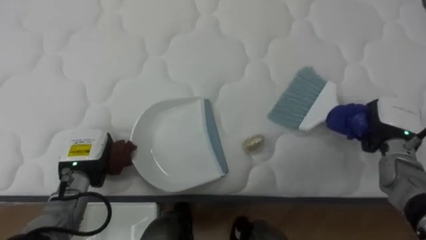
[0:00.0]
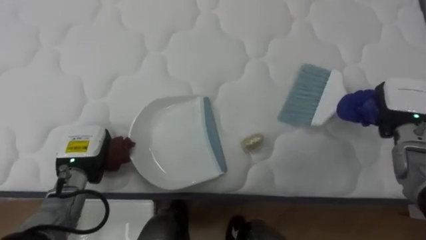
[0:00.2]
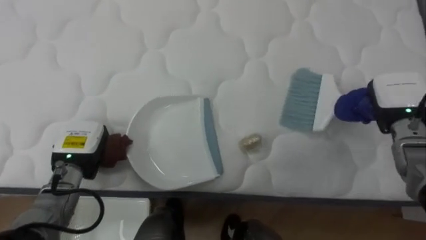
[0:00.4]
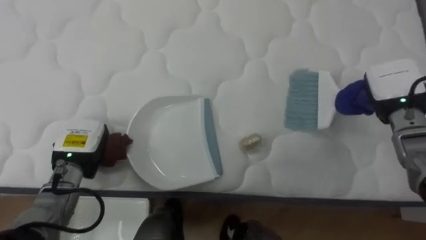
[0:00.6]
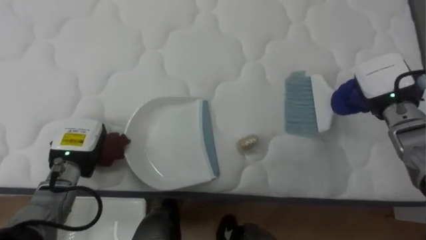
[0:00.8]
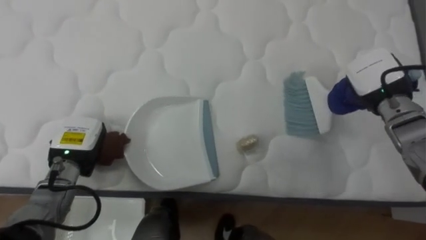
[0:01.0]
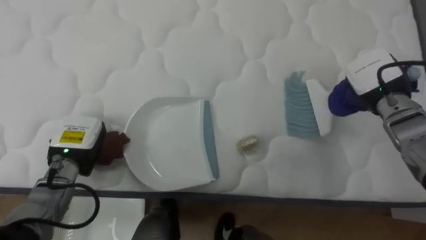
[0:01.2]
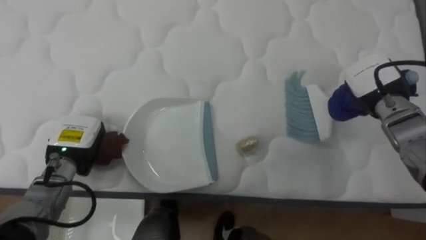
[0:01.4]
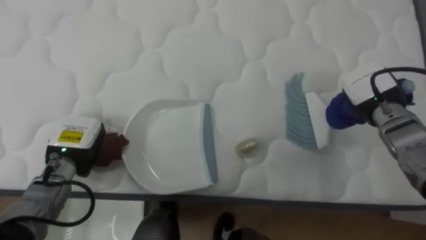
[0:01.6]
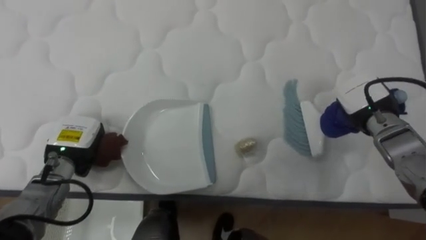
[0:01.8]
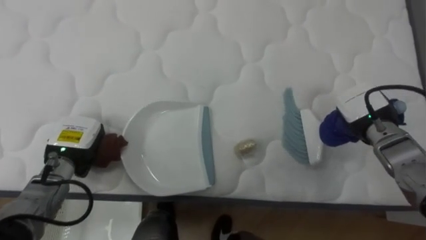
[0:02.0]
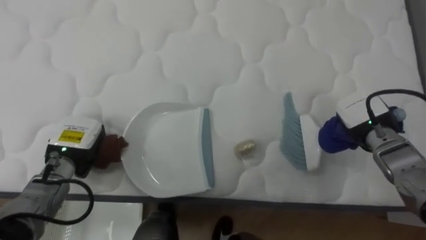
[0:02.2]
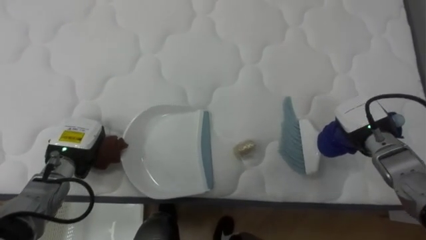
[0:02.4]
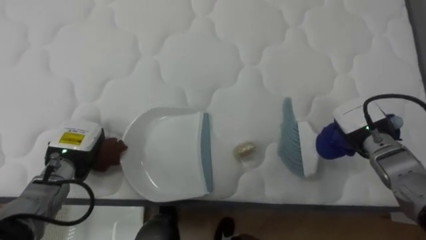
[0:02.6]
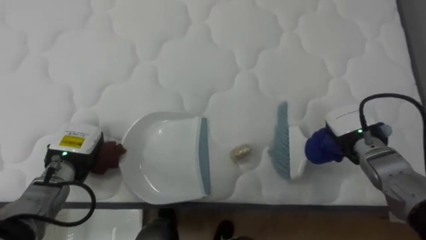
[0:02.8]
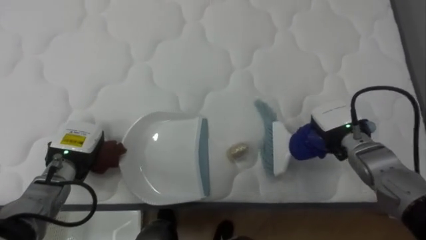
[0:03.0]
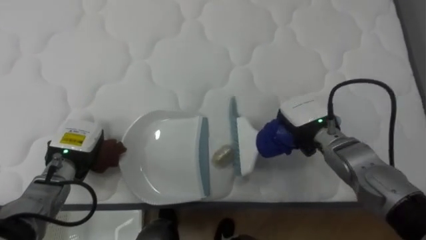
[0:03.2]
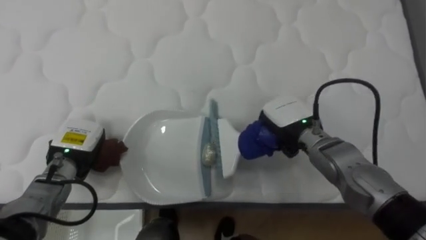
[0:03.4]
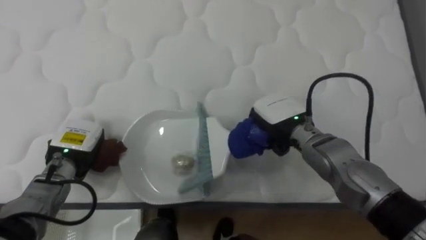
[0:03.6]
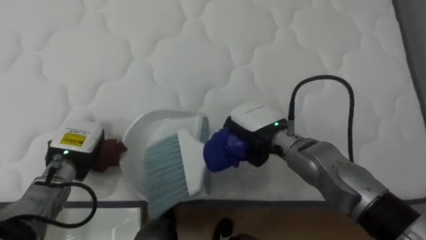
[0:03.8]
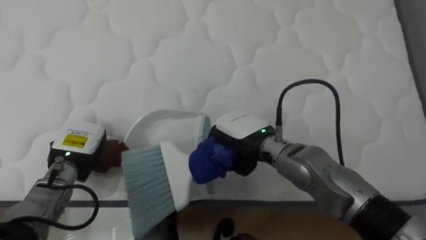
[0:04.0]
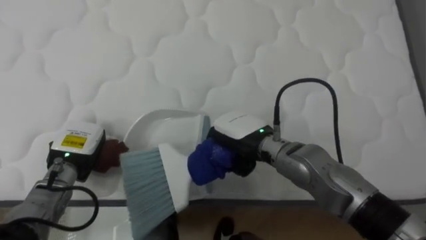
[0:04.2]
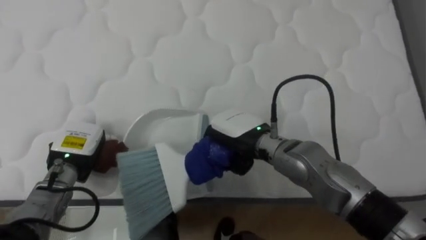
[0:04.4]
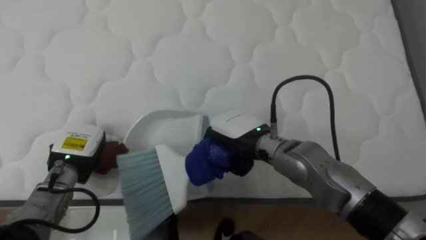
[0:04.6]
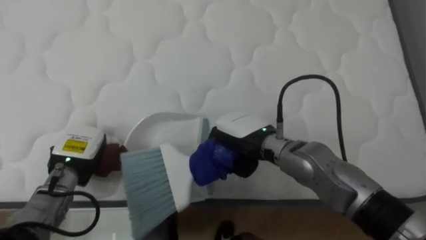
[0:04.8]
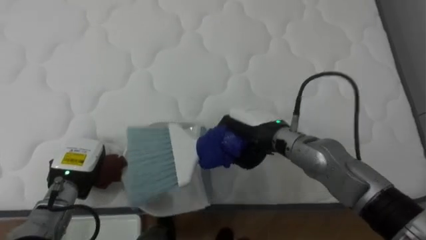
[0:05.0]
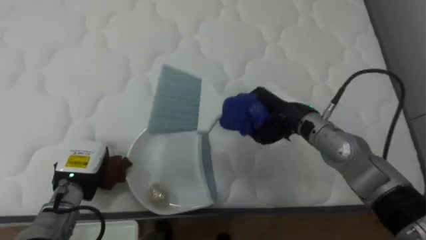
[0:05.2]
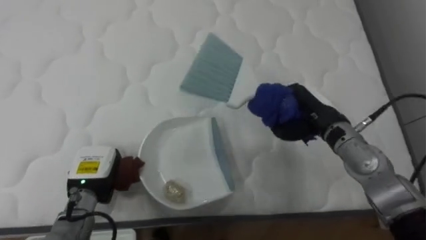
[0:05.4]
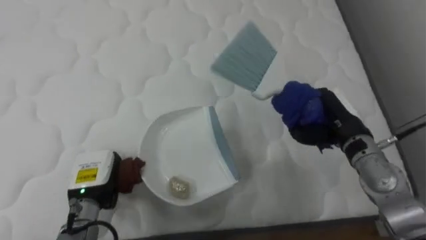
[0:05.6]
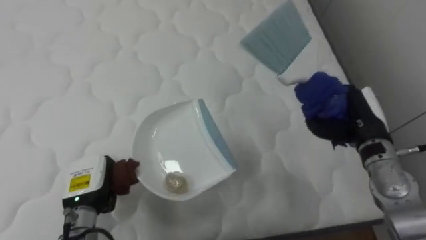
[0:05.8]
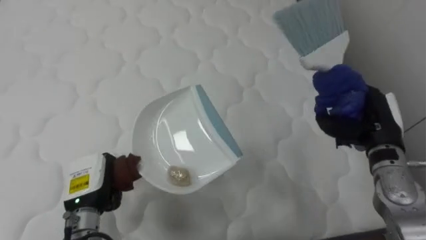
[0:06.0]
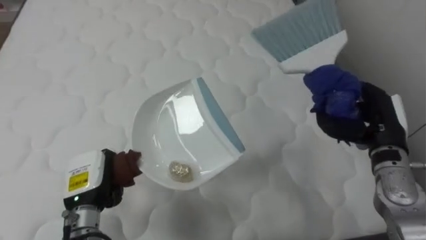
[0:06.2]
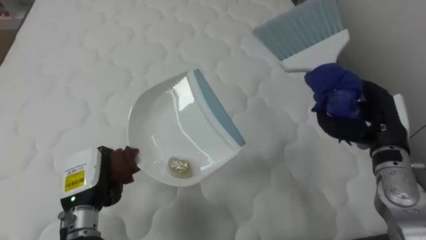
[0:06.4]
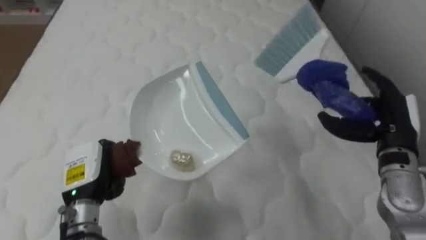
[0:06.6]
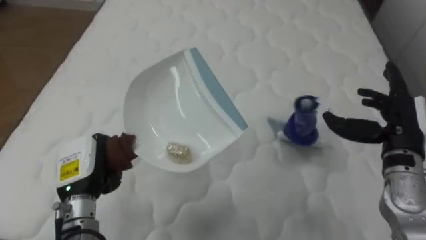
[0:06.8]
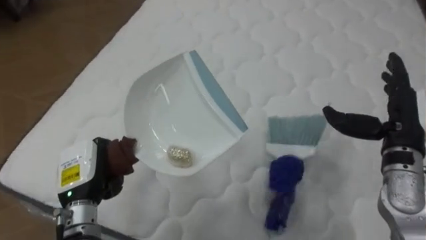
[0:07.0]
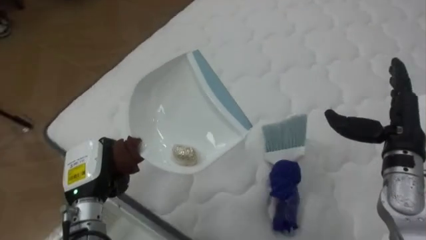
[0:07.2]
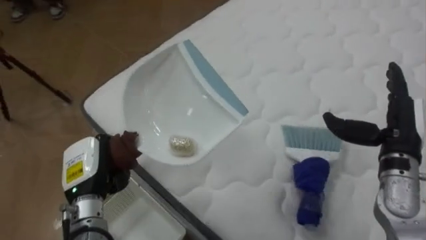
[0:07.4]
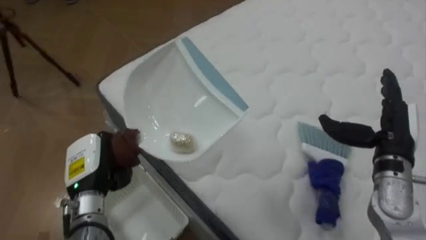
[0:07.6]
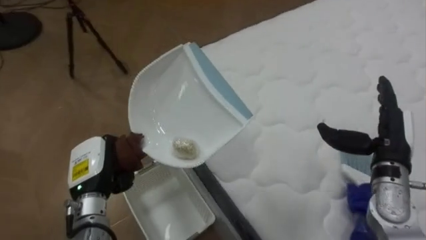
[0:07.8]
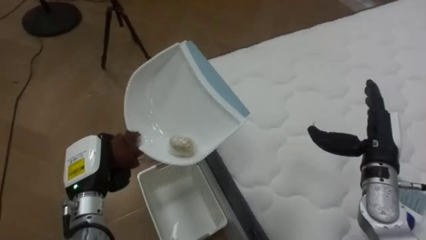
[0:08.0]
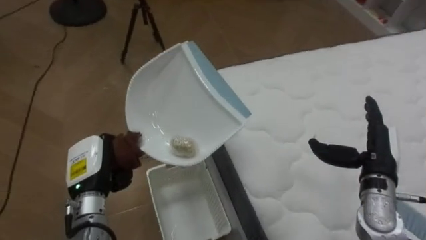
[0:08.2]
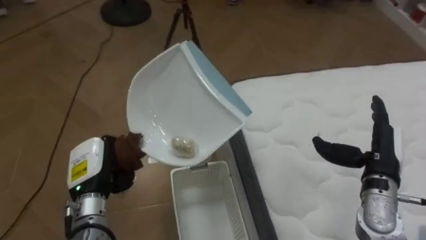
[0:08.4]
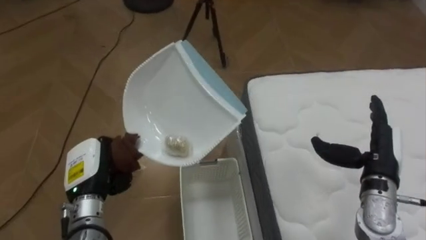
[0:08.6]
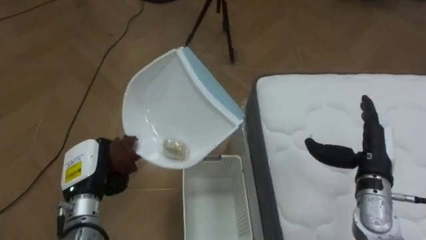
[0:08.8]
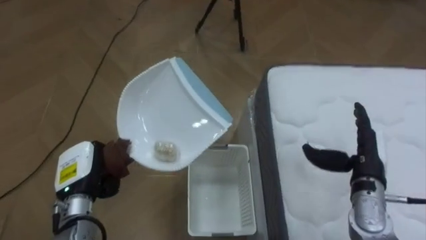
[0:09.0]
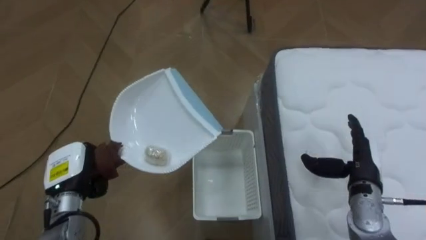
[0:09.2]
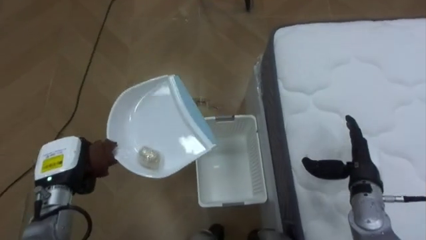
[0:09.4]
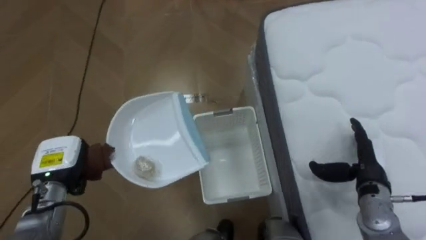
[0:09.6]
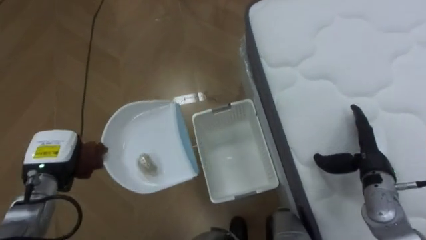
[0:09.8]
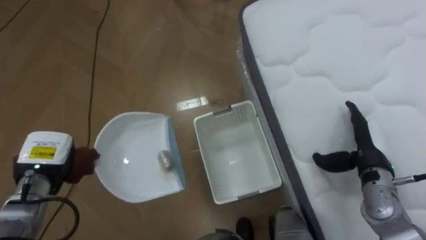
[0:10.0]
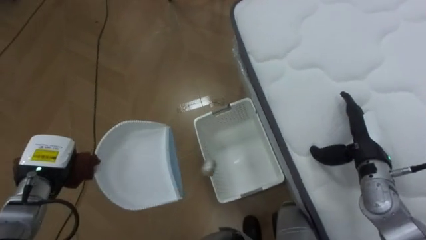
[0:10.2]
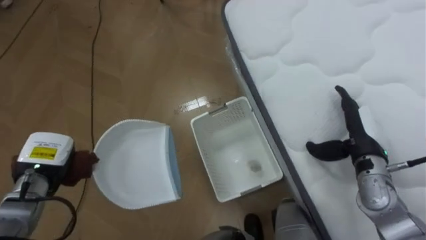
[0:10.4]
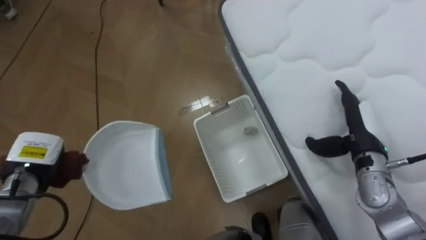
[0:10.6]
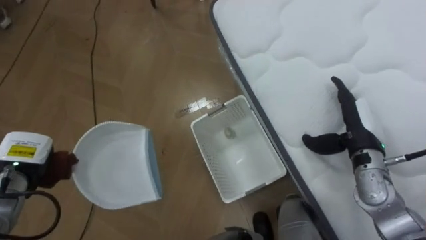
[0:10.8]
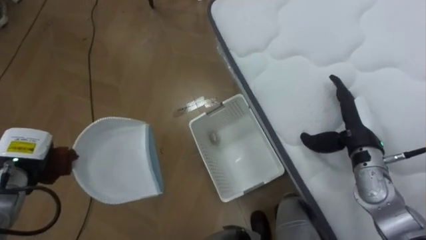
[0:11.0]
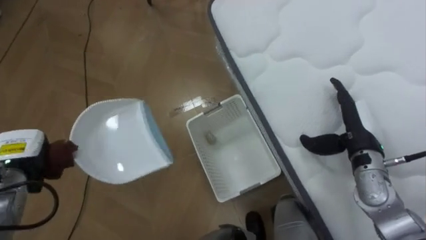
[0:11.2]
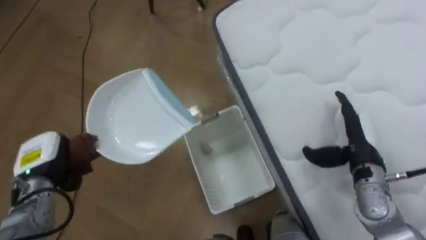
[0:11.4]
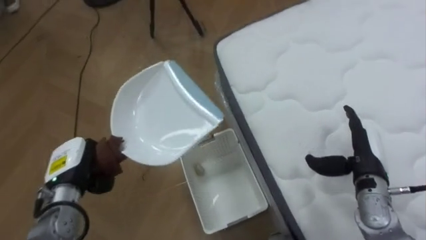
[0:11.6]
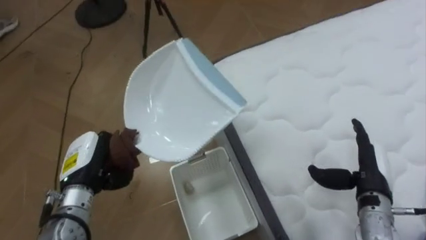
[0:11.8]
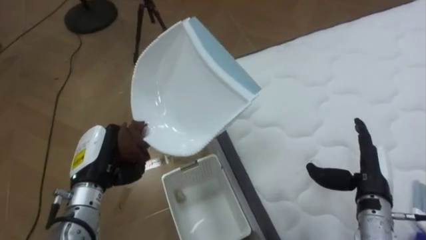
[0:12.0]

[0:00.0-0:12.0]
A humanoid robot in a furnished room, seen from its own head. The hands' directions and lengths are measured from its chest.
Task of the whole recording: Pick up the brush on your right and the dustpan on your left. Use the brush to sweep the crumpled paper on the bed into the dustpan, then turn left and empty it into the basket.
0:00.0 to 0:01.6: The right hand is displaced upward by about 5 cm.
0:01.6 to 0:03.0: The right hand moves downward and to the left, about 10 cm.
0:03.0 to 0:04.4: The right hand heads to the left, covering some 20 cm.
0:04.4 to 0:06.0: The left hand travels backward by approximately 5 cm, while the right hand moves to the right, about 25 cm.
0:06.0 to 0:07.6: The robot's body swings some 55 degrees to its left. The right hand opens up.
0:07.6 to 0:09.0: The robot turns to its left by approximately 40 degrees. The right hand goes some 5 cm downward.
0:09.0 to 0:10.4: The left hand heads to the left, covering approximately 5 cm.
0:10.4 to 0:12.0: The left hand is displaced to the right by approximately 10 cm. The right hand travels backward by about 5 cm.

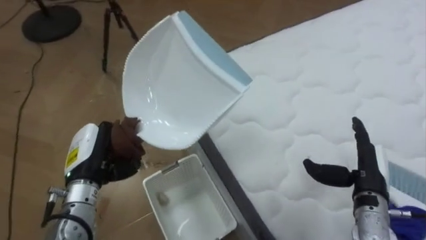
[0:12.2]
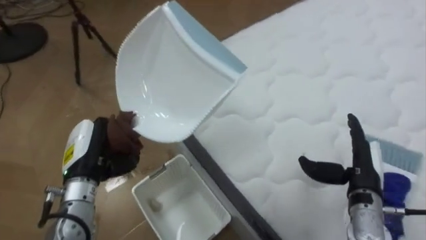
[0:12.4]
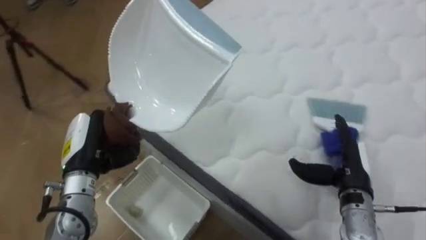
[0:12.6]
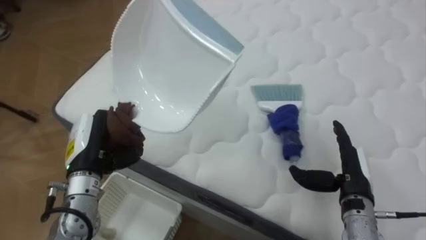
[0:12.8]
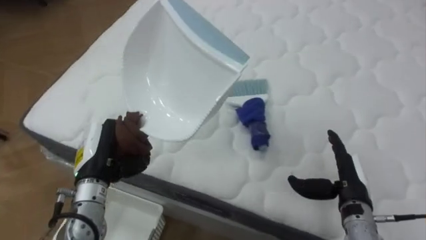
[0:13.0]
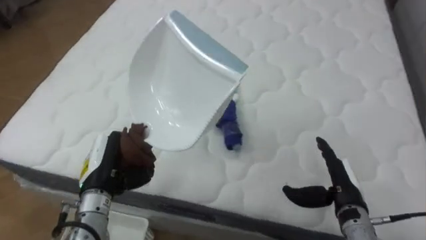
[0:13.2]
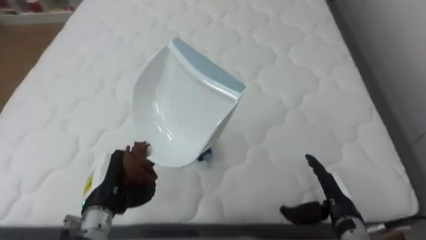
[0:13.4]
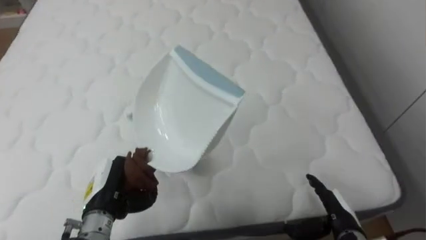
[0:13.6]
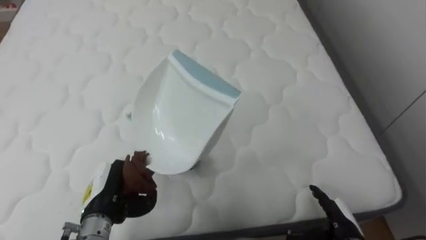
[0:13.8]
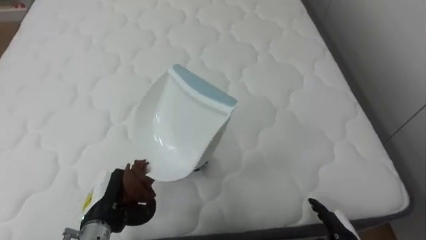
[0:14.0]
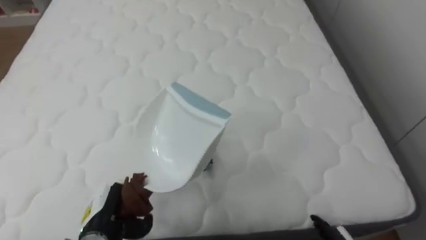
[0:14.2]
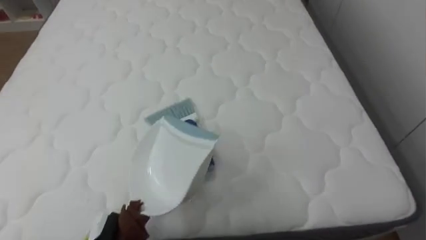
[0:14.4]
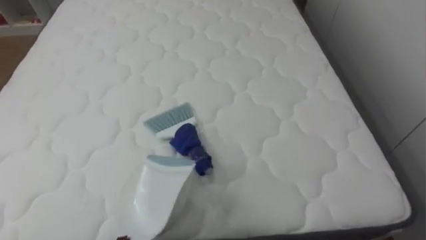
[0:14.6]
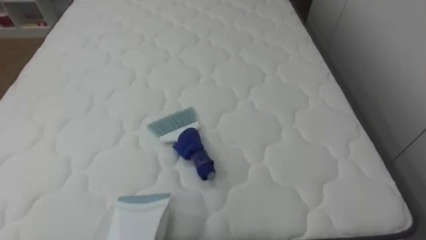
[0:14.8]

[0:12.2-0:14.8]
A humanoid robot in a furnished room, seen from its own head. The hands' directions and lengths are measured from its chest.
Task of the whole recording: Pick up the brush on your right and the dustpan on your left. Use the brush to sweep the crumpled paper on the bed into the dustpan, then turn left and empty it into the basket.
0:12.2 to 0:13.4: The robot rotates some 60 degrees to its right. The left hand changes place by approximately 5 cm, while the right hand travels downward by approximately 5 cm.

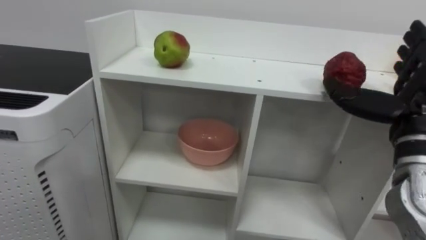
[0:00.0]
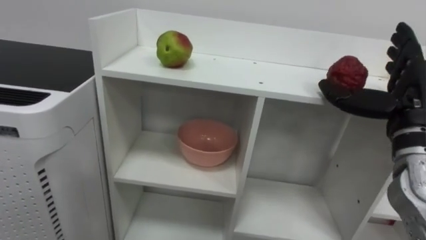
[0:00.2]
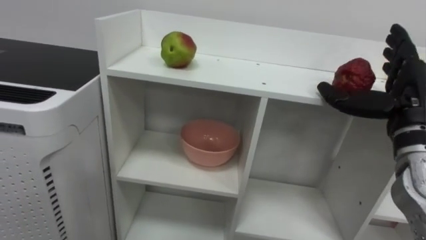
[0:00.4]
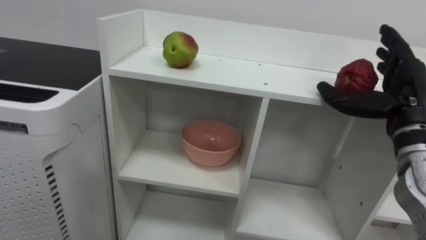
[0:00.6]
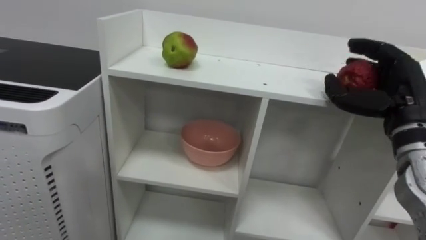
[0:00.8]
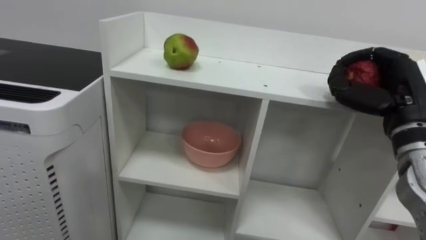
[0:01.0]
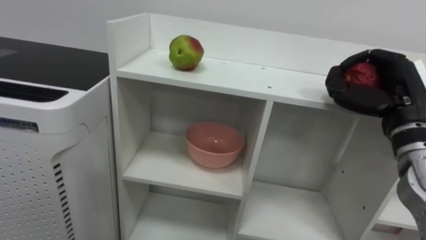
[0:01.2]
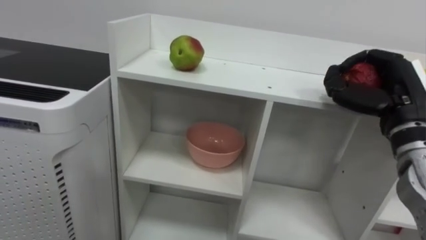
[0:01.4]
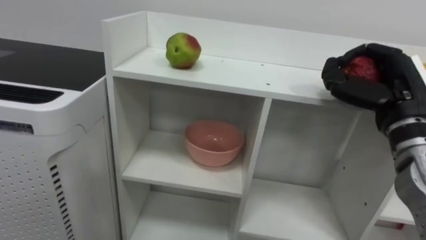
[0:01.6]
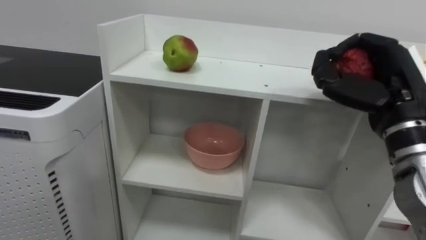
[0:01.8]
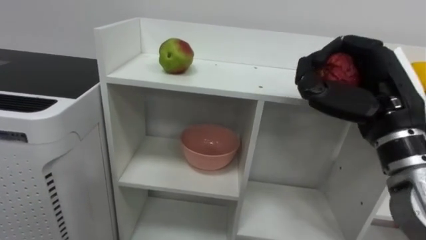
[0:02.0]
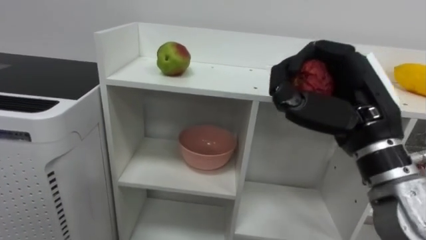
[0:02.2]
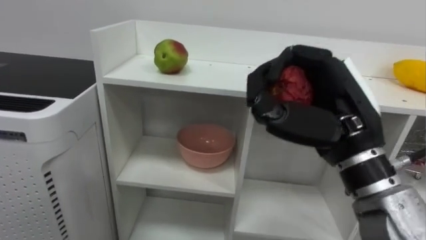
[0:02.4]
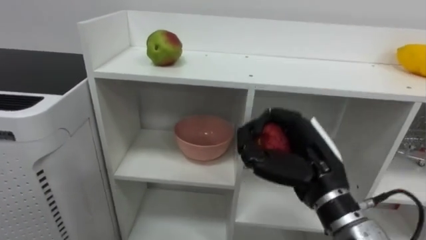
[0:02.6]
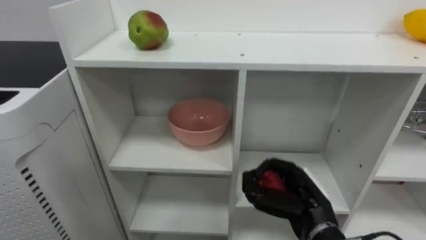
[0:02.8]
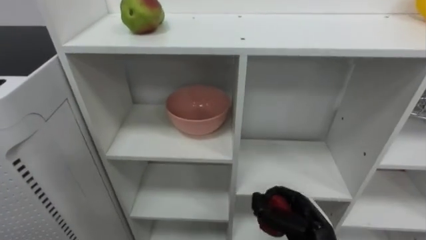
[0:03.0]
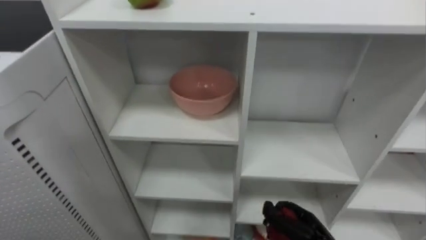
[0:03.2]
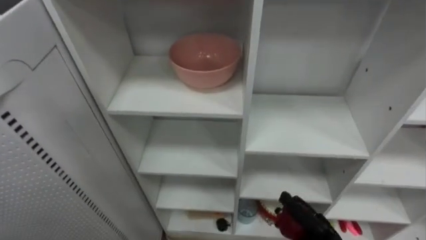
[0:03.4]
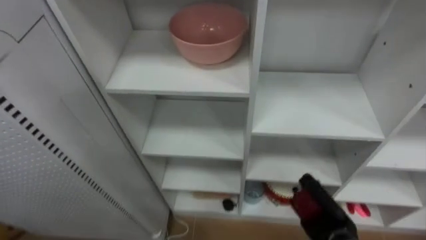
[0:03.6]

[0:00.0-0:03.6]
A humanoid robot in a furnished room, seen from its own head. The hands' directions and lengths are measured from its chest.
Task of the whole recording: Put the apple in the cell in the second column from the left and the second row from the top.
0:00.0 to 0:01.8: The right hand closes its fingers.
